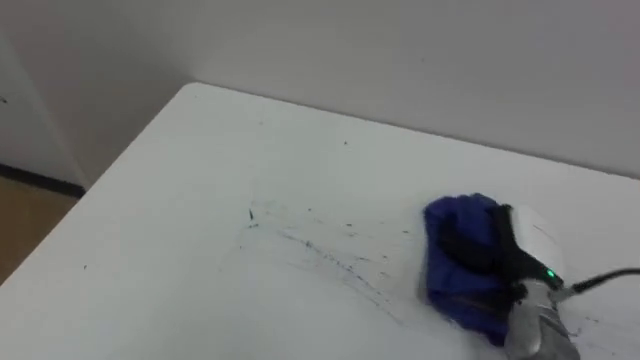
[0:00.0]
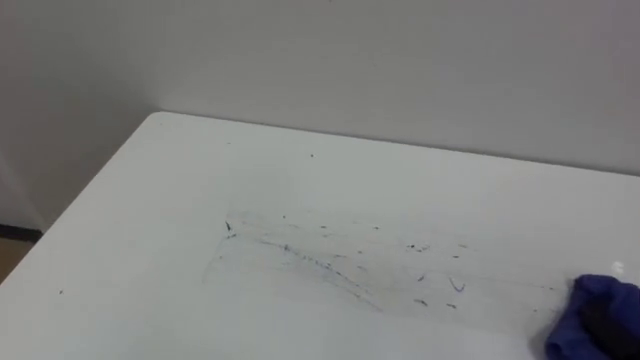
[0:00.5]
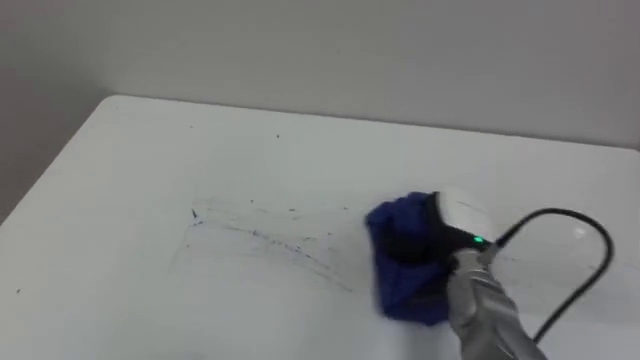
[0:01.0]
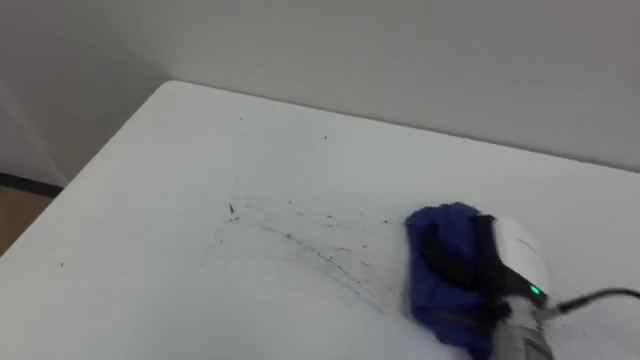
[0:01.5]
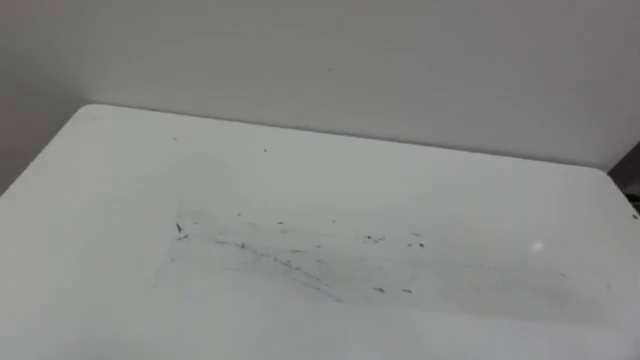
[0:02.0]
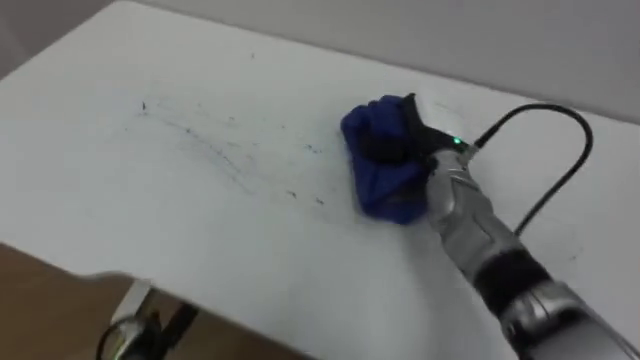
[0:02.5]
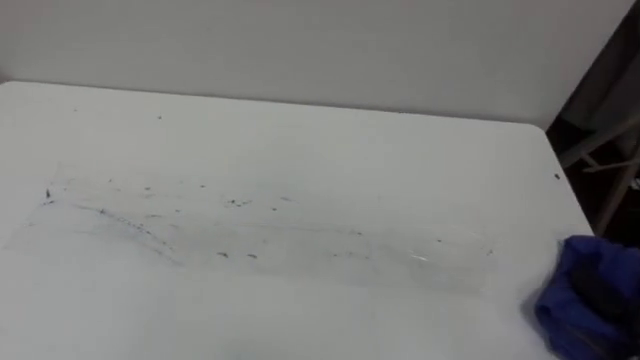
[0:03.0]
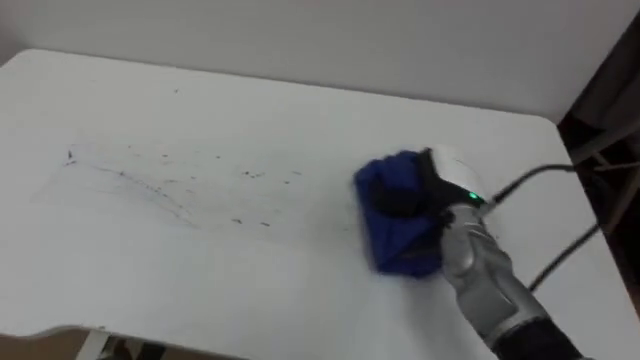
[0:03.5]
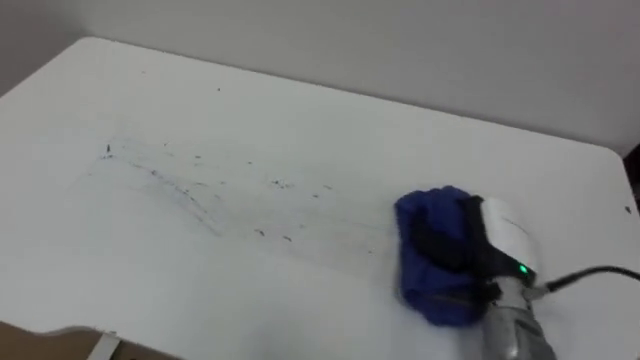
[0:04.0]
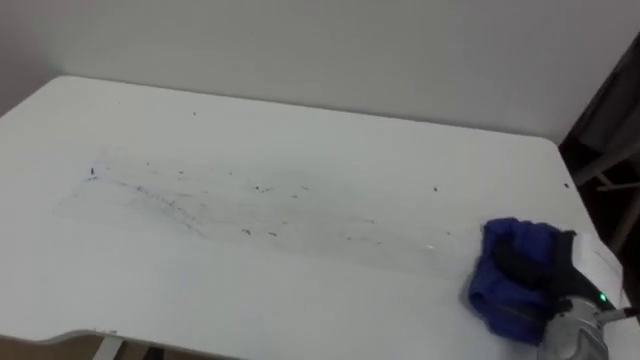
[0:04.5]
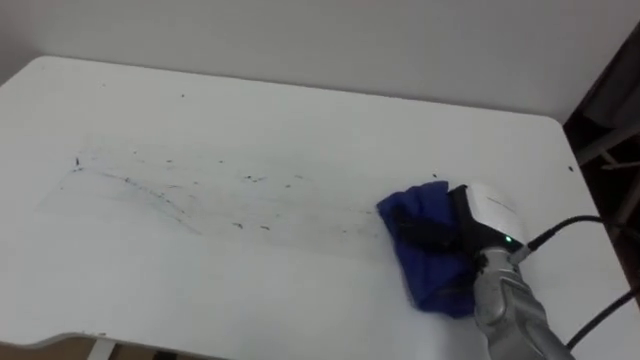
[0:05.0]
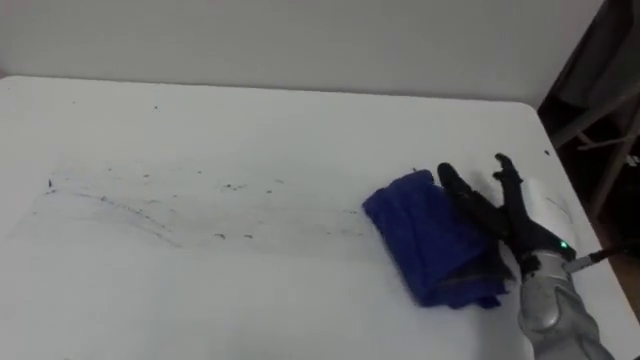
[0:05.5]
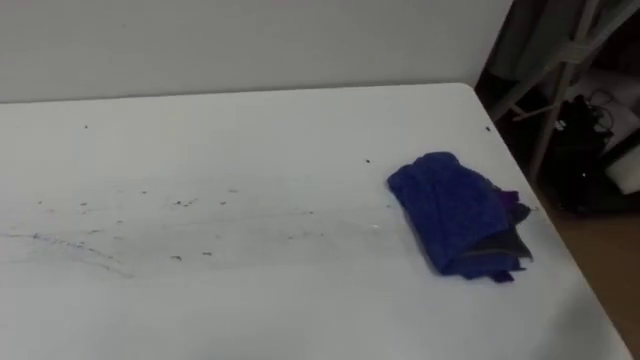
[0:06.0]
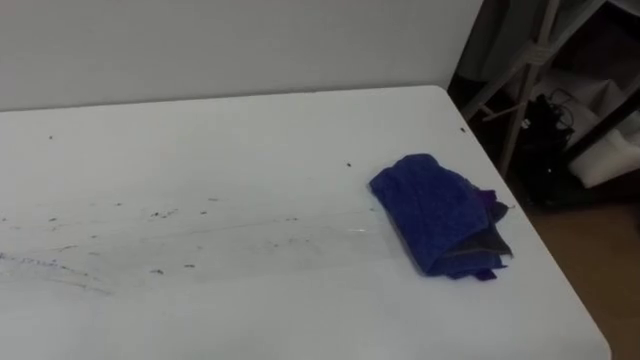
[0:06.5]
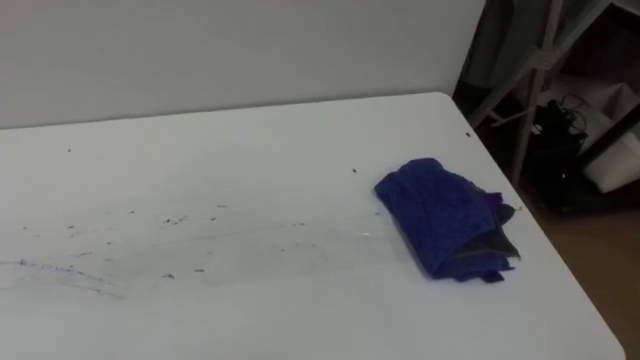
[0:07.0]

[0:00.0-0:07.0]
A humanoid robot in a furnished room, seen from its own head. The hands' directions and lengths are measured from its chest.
Task of the whole recording: Wipe the blue pen marks off the table with the rag.
0:03.5 to 0:05.0: The right hand moves about 15 cm to the right and comes back.

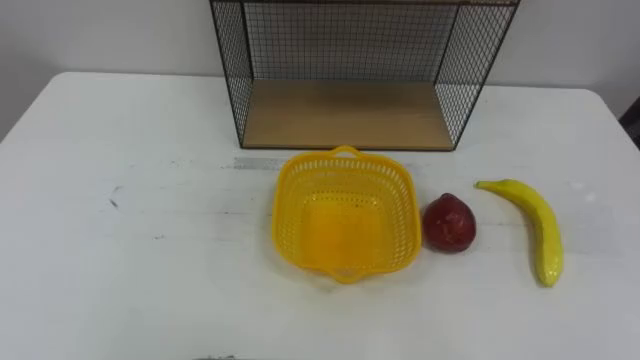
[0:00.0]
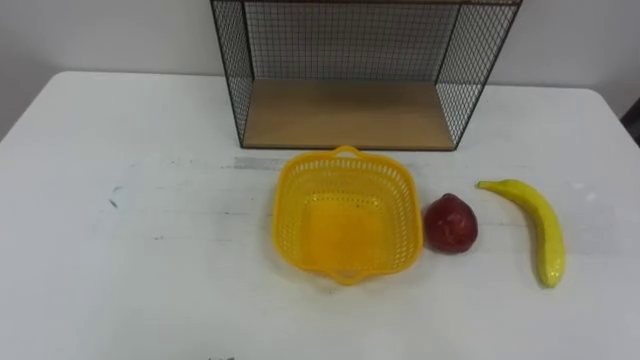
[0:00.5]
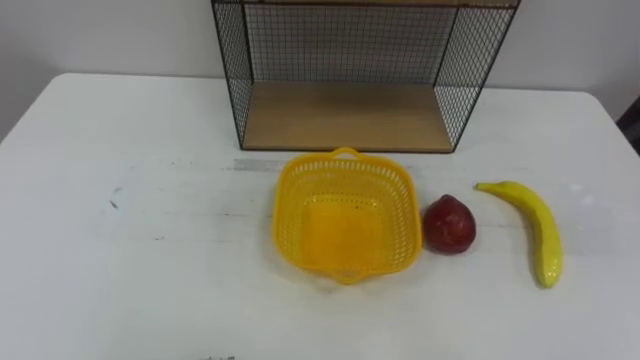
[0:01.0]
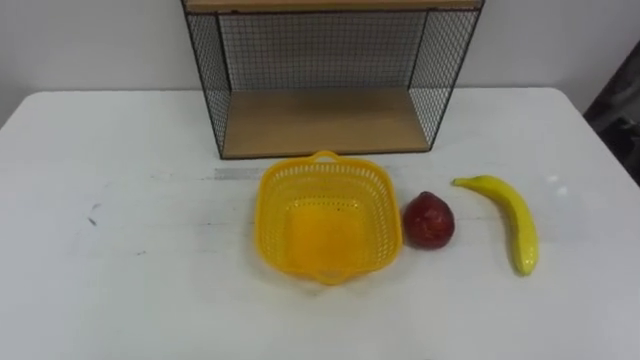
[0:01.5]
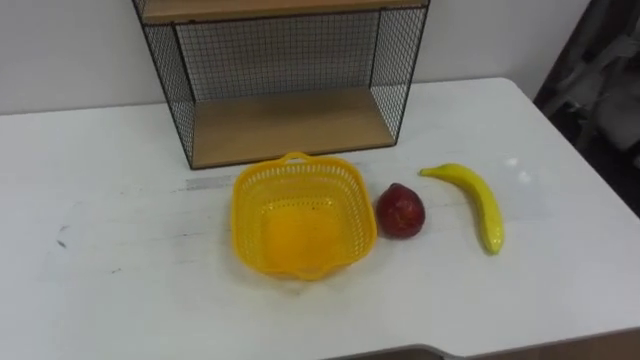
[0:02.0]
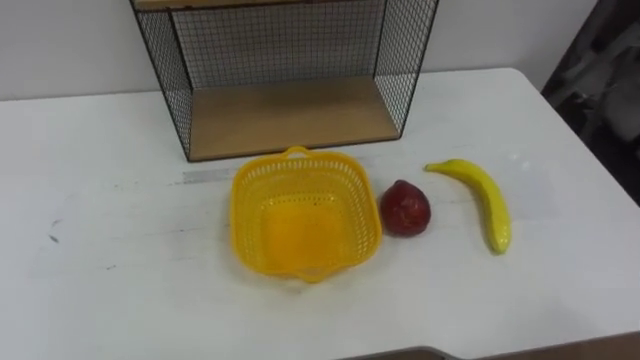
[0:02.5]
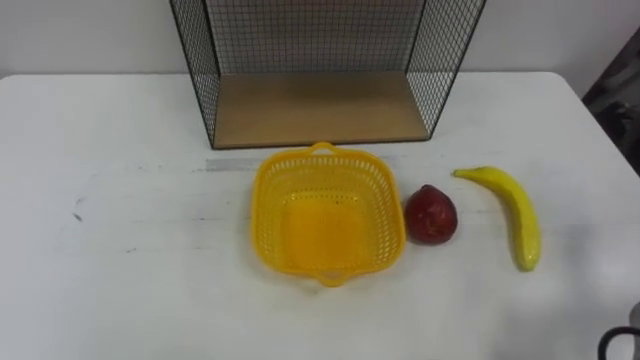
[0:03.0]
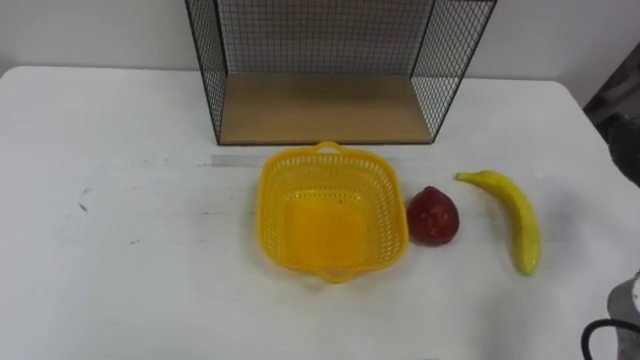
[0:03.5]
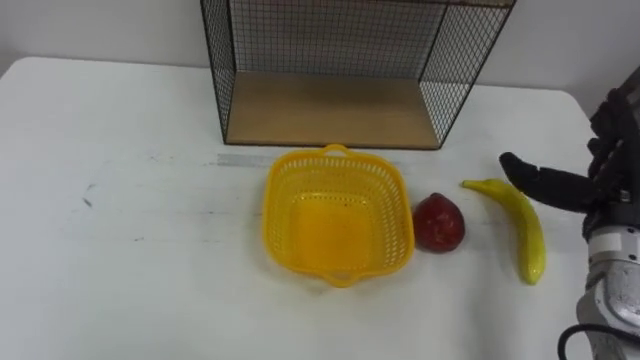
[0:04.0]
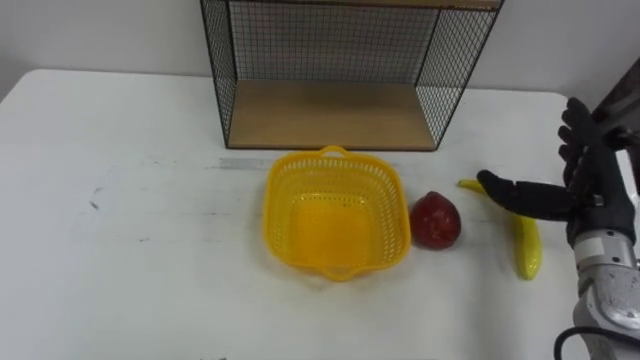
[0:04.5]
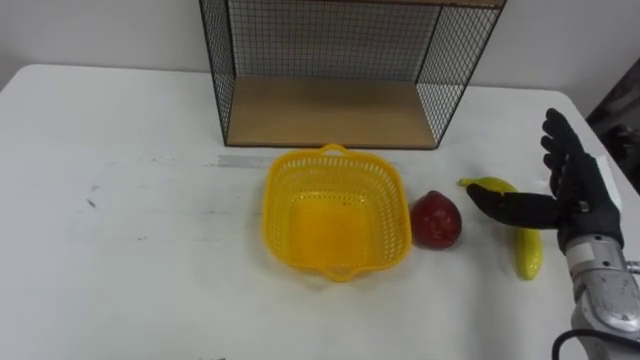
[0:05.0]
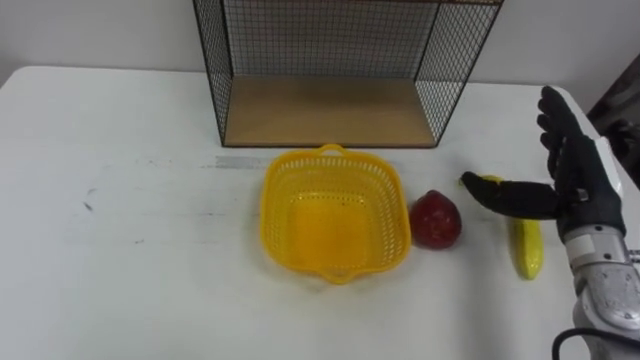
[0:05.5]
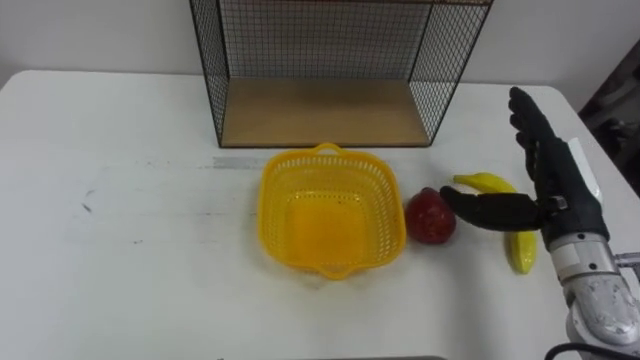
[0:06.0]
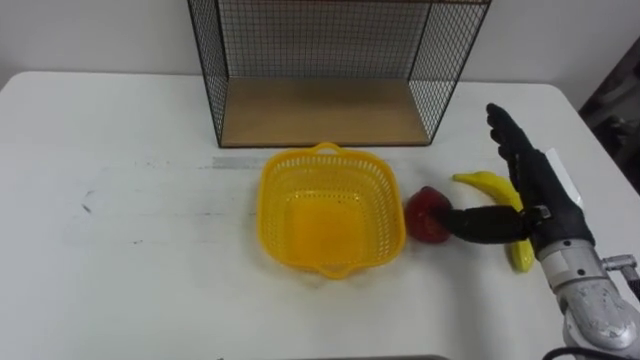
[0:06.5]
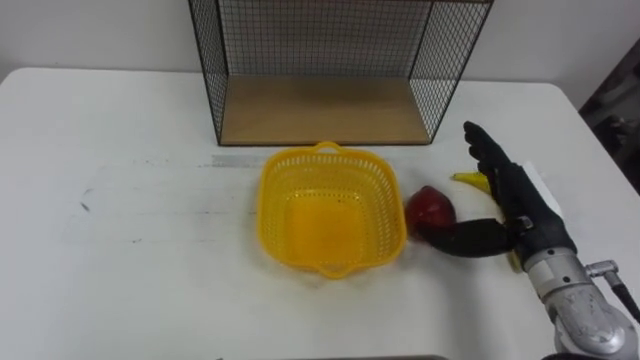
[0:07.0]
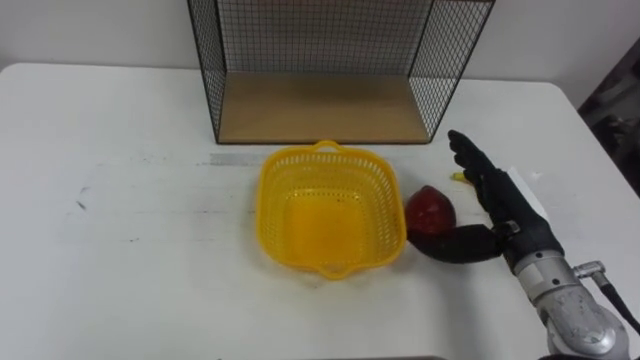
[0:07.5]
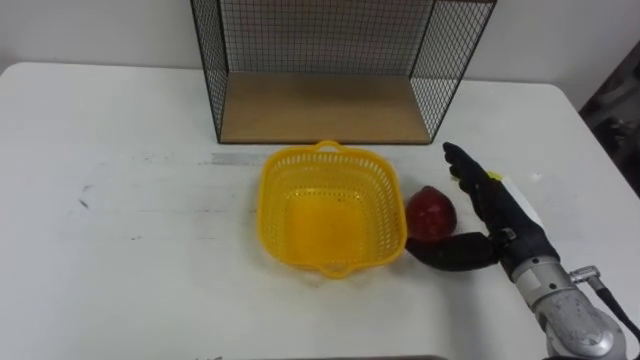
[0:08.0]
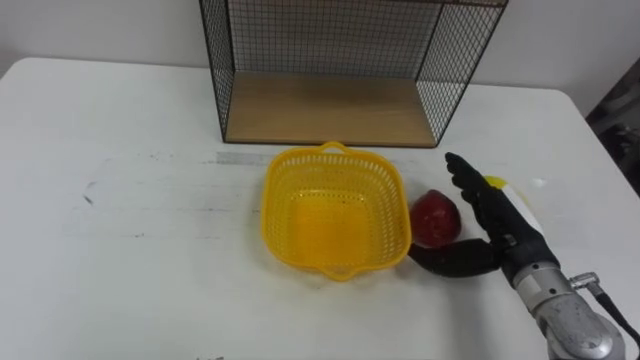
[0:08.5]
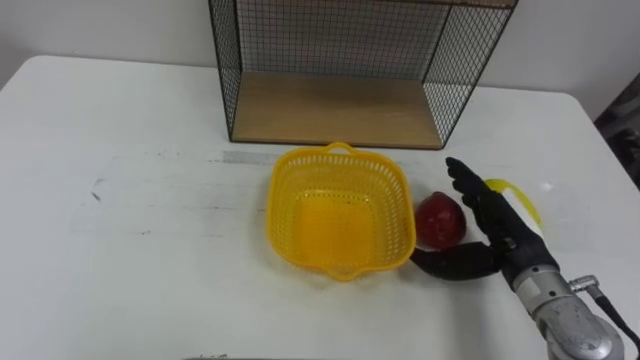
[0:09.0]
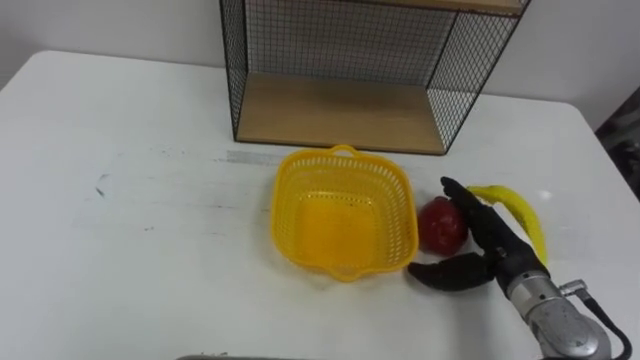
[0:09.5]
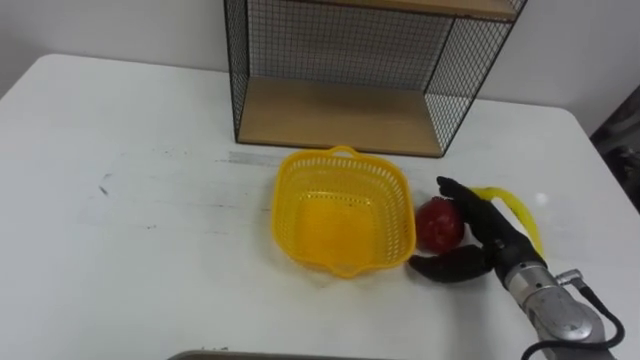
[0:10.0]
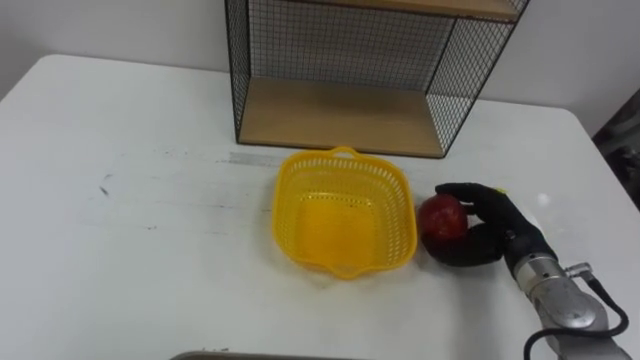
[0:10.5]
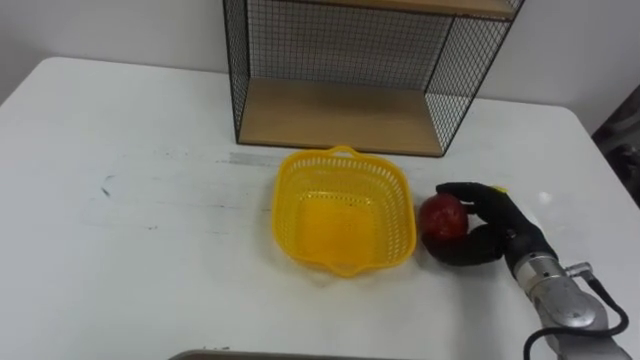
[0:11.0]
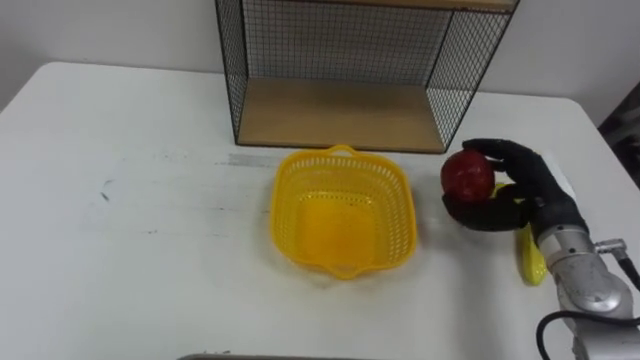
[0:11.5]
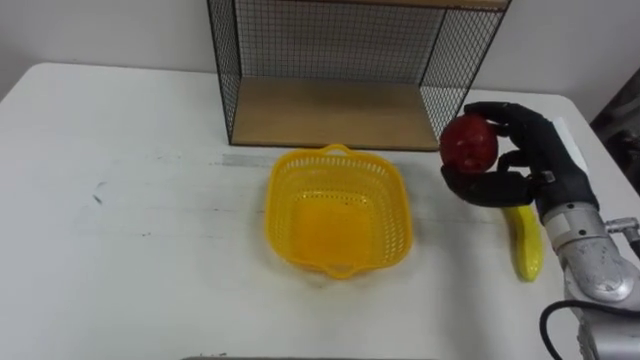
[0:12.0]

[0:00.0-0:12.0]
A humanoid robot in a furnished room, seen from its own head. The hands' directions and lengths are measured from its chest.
Task of the whole recording: Put the fruit on the table into the basket, then place the basket on the shelf.
0:04.0 to 0:06.0: The right hand moves to the left, some 5 cm.
0:06.0 to 0:08.0: The right hand travels downward by approximately 5 cm.
0:08.0 to 0:10.0: The right hand shifts approximately 5 cm downward.
0:10.0 to 0:12.0: The right hand moves upward, about 10 cm, and closes.

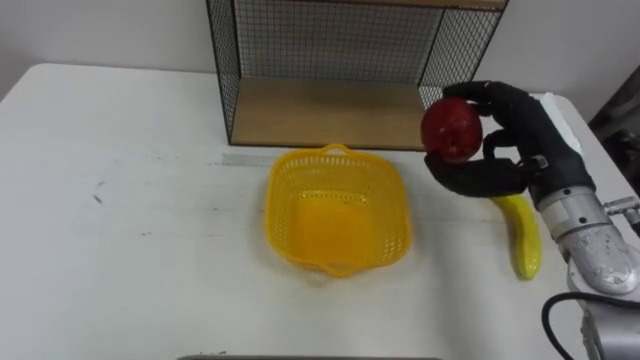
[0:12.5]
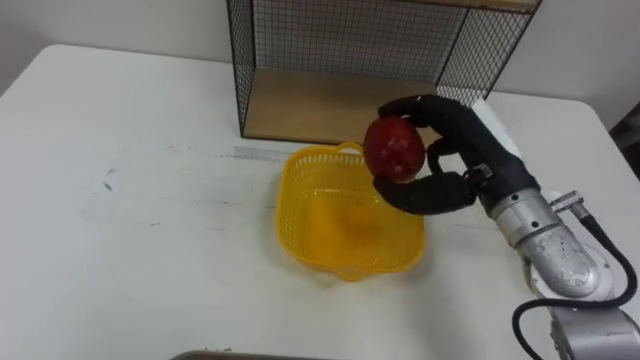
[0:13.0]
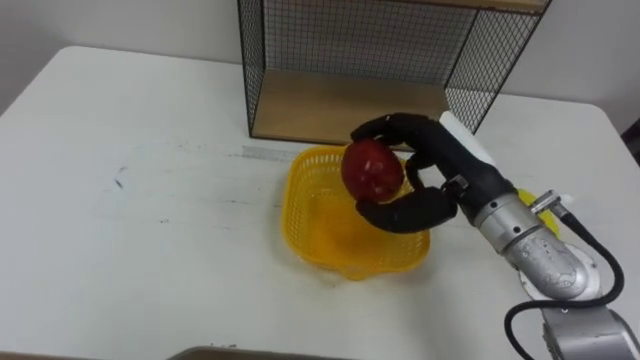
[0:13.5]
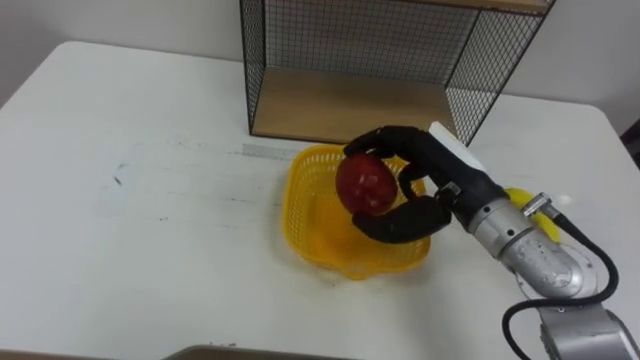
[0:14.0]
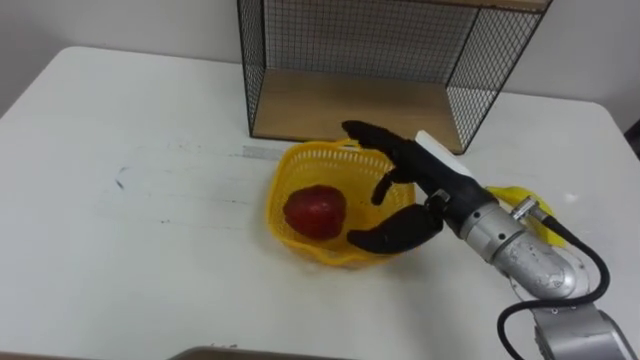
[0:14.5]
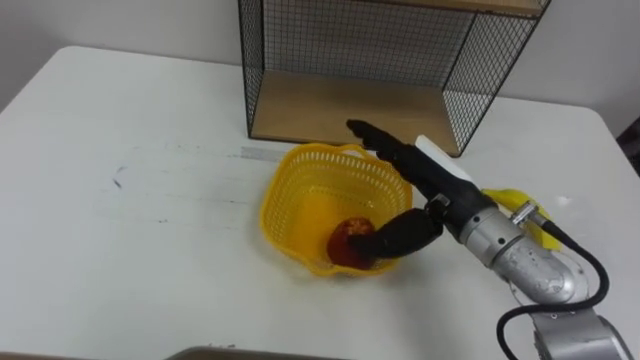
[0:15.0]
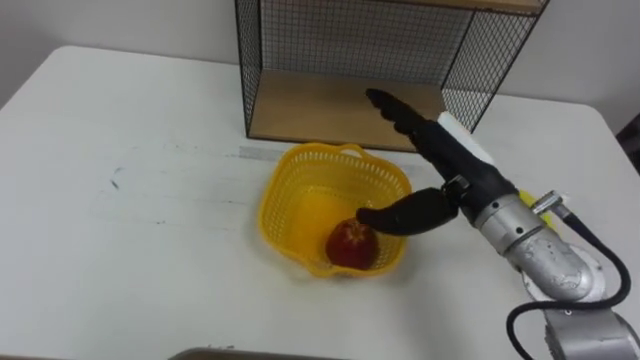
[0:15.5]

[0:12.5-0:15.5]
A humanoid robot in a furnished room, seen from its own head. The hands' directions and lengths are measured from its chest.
Task of the whole recording: Put the fruit on the table into the basket, then place the basket on the shelf.
0:12.5 to 0:14.0: The right hand shifts about 10 cm to the left.
0:14.0 to 0:15.5: The right hand opens up.
